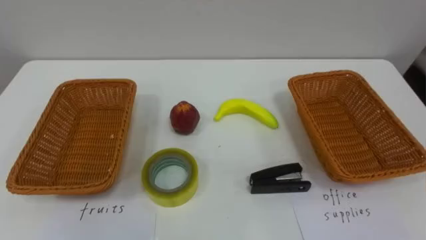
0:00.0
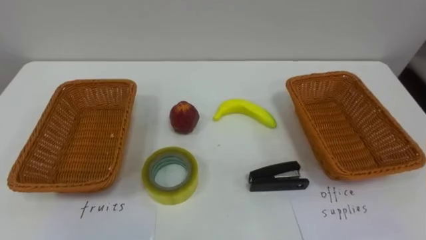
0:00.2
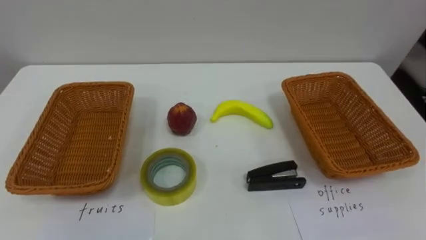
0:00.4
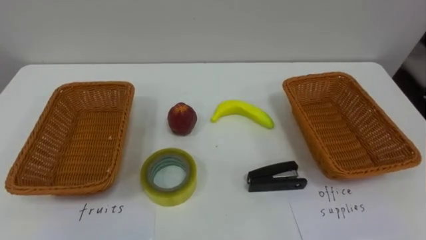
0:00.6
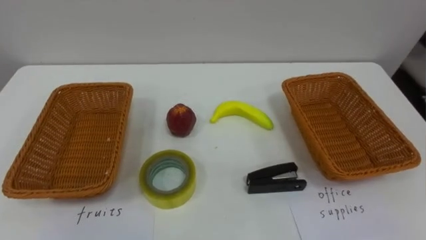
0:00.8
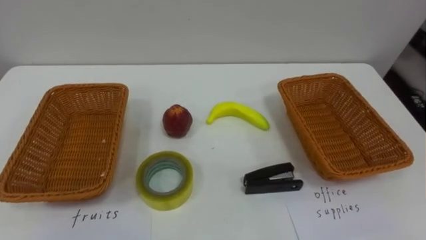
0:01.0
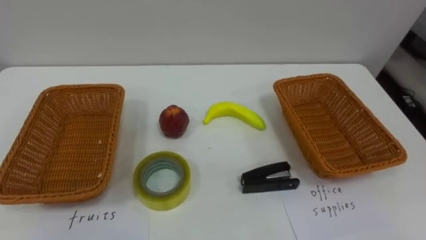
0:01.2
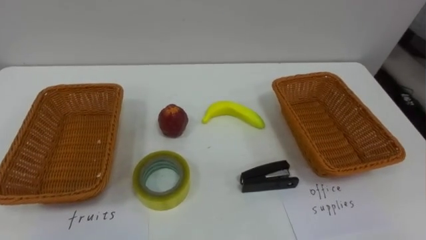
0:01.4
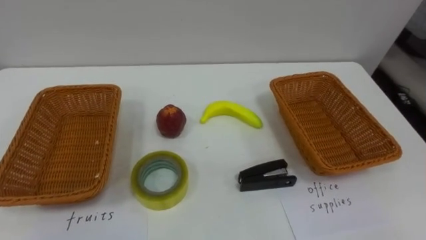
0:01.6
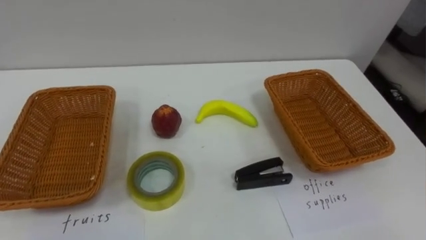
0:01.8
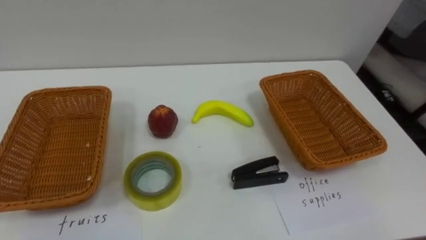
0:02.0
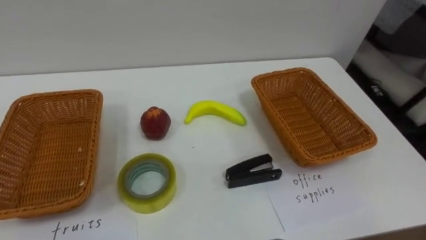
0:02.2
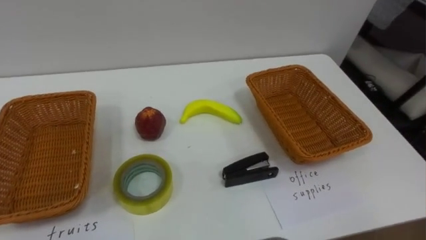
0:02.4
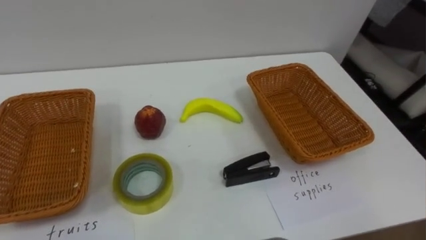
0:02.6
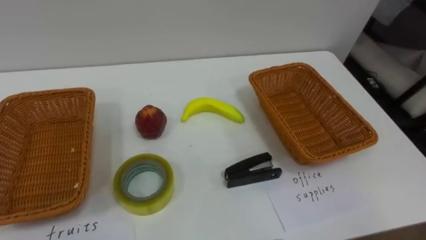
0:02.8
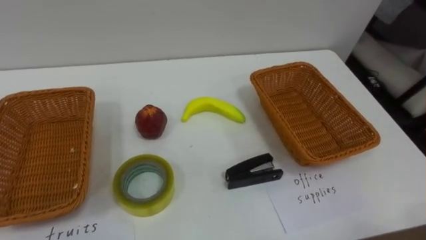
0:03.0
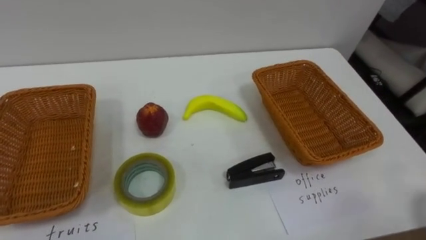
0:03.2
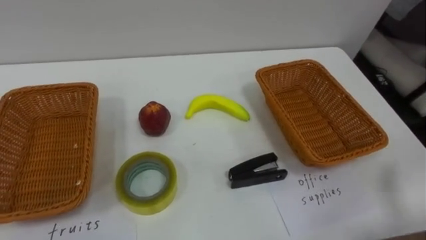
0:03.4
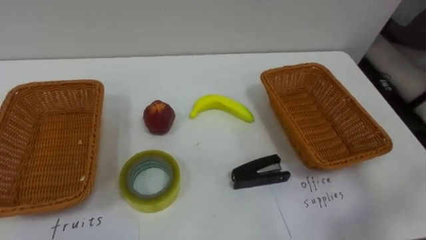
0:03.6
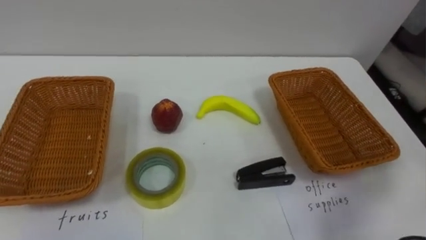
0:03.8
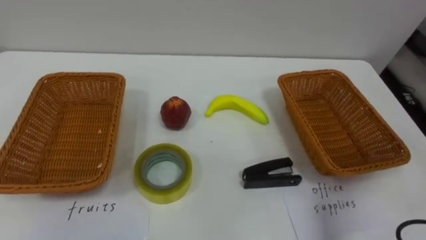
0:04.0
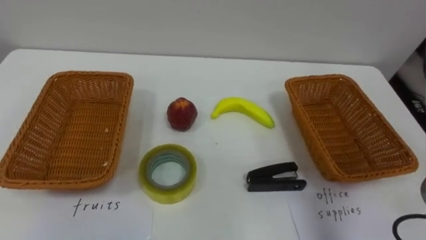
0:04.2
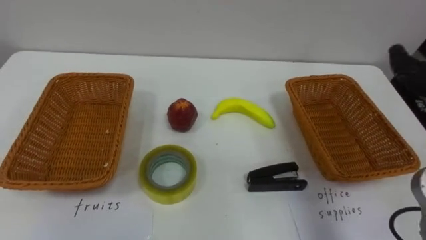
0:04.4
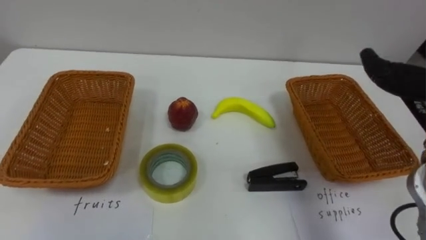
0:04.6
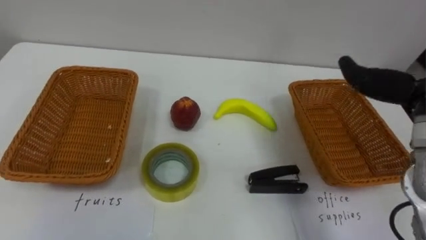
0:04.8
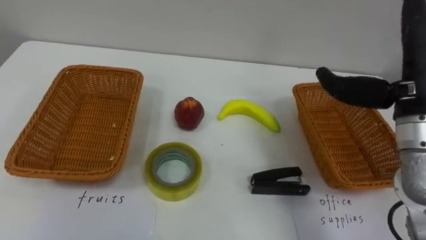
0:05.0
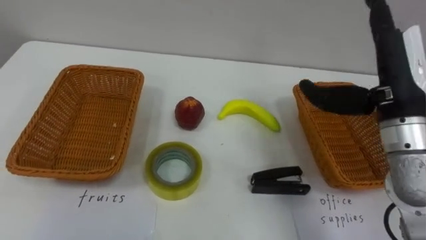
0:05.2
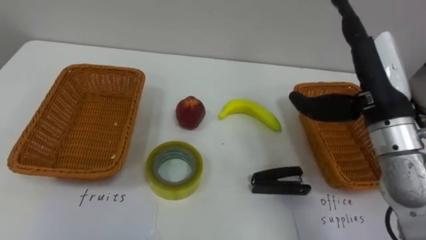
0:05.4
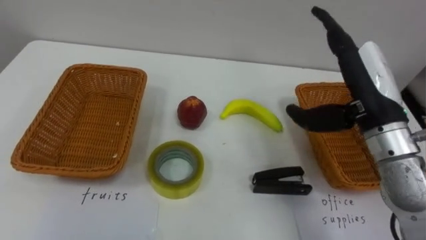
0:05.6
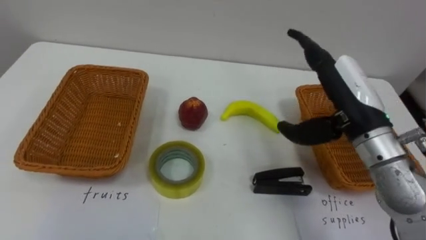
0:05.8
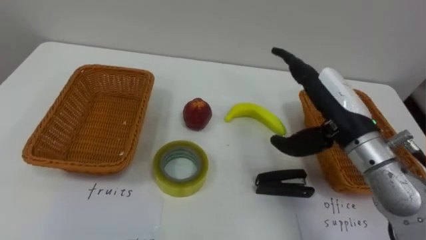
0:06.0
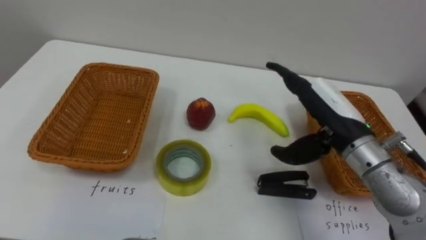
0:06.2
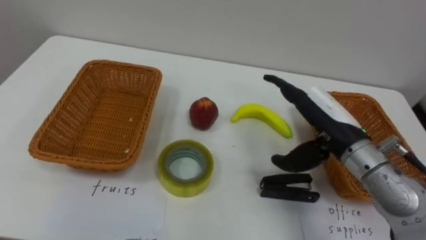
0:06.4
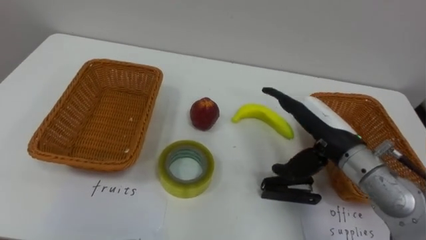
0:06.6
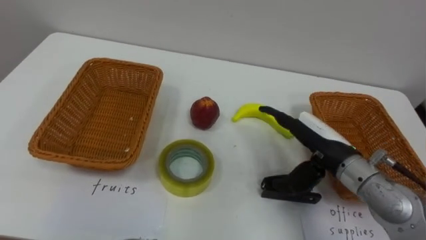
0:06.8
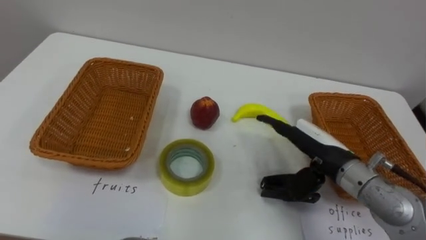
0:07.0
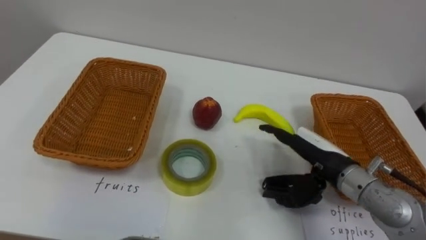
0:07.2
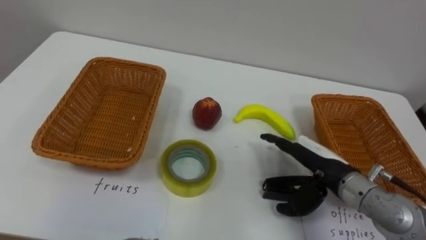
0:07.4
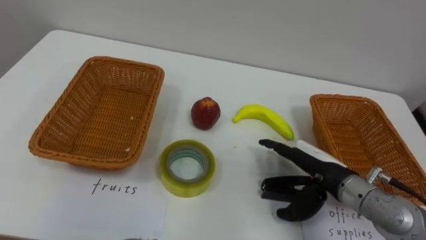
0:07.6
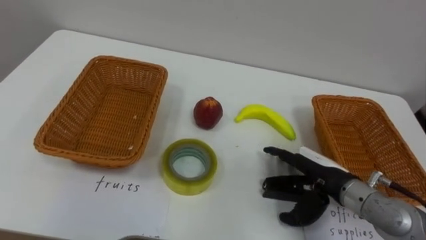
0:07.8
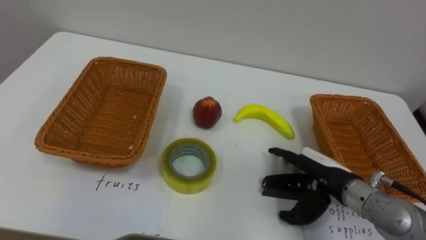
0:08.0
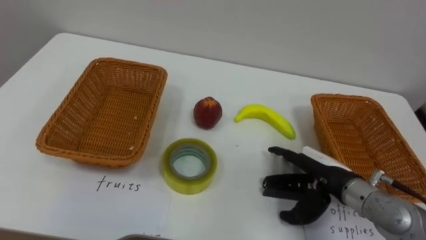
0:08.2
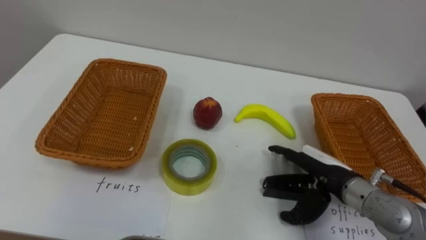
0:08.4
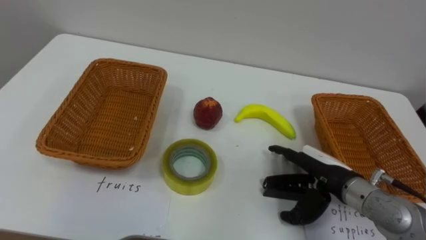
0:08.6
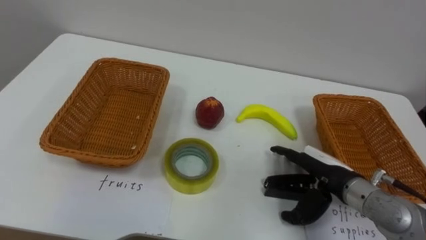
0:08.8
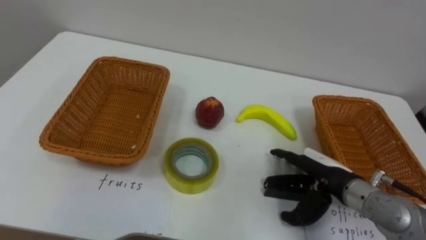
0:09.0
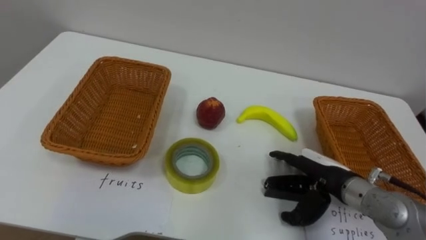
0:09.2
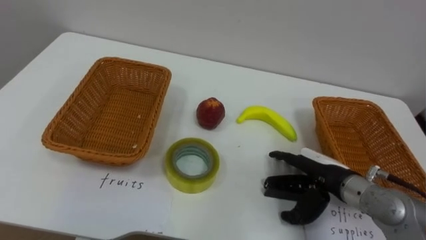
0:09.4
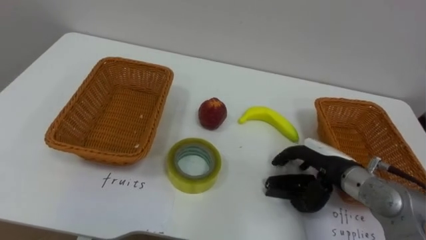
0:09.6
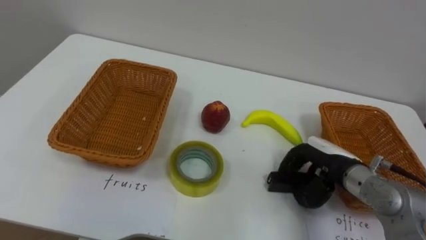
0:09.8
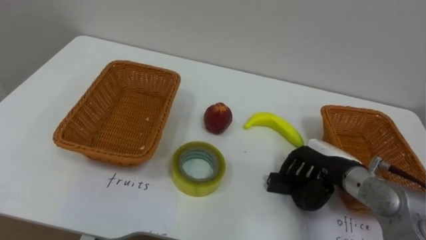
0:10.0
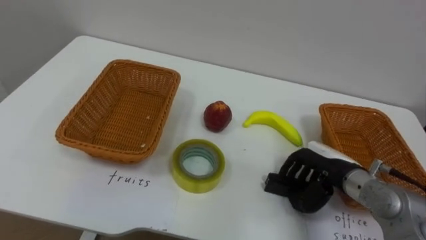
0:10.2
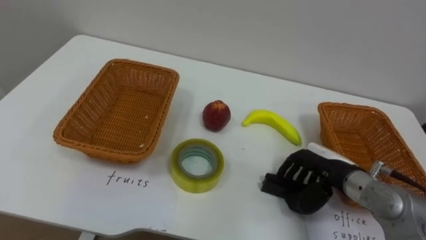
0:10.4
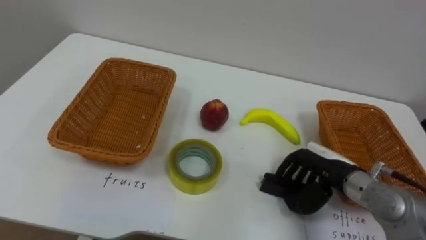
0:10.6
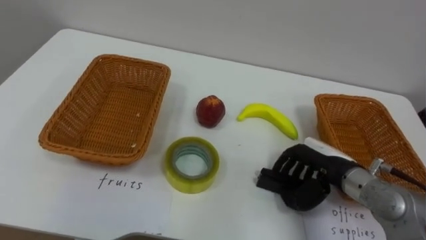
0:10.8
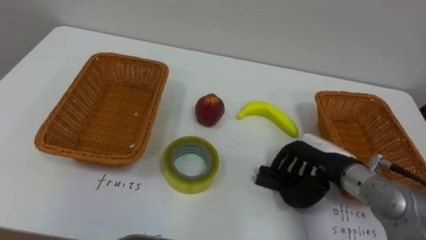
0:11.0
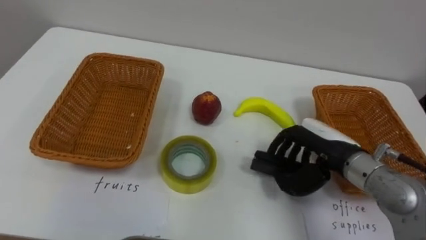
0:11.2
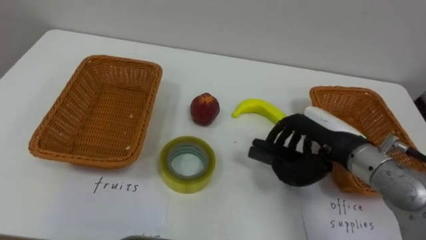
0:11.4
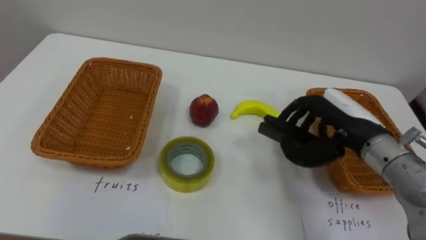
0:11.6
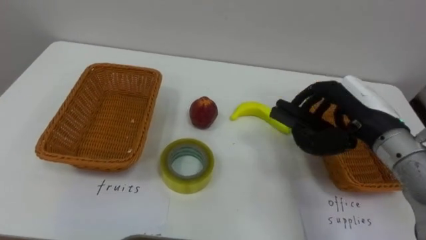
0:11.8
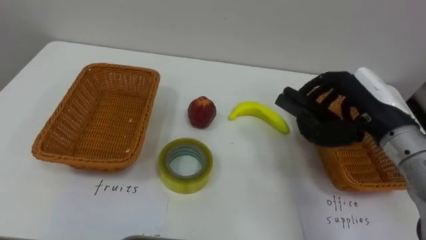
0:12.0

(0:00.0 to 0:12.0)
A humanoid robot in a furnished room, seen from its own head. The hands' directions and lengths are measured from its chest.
Task of the whole recording: Separate the items on the table and place them into the two baskets.
0:06.0 - 0:07.6: The right hand moves downward, some 10 cm.
0:09.0 - 0:10.4: The right hand closes.
0:10.4 - 0:12.0: The right hand moves upward, some 15 cm.

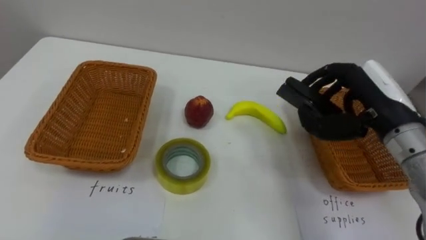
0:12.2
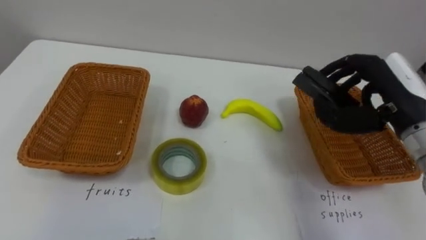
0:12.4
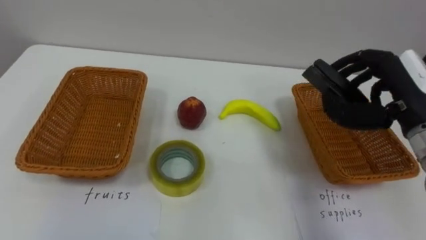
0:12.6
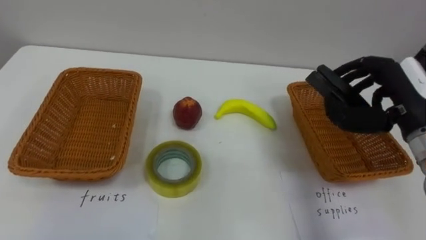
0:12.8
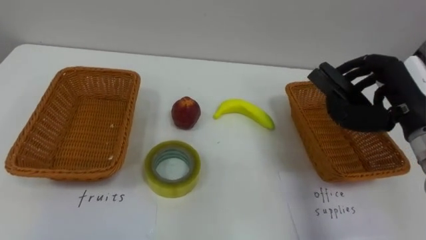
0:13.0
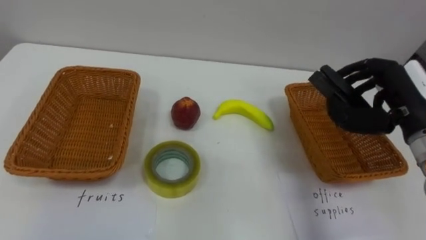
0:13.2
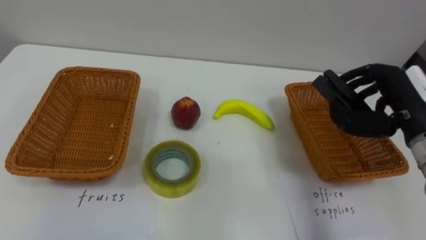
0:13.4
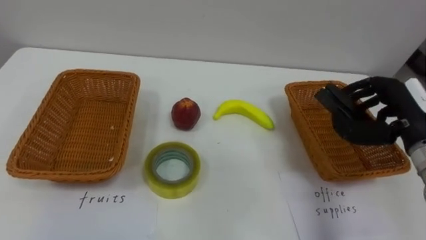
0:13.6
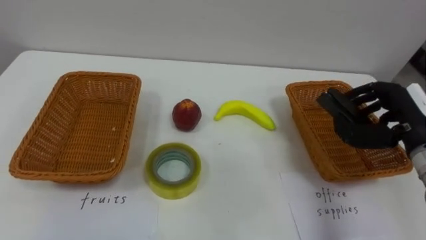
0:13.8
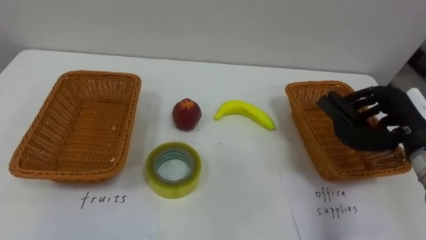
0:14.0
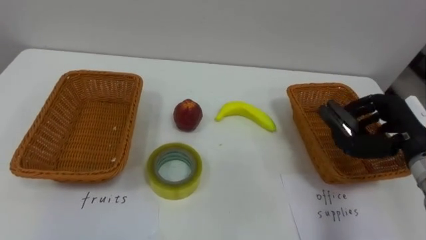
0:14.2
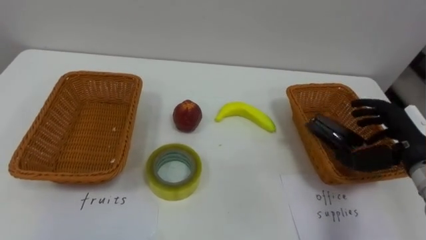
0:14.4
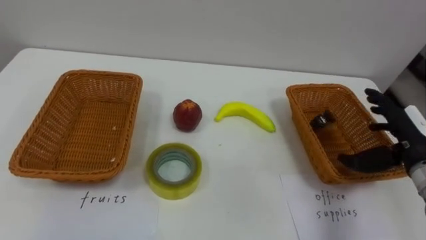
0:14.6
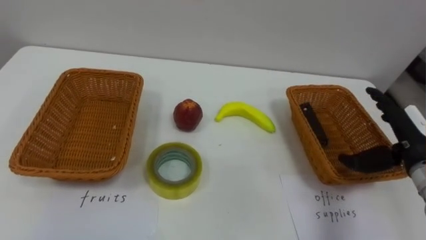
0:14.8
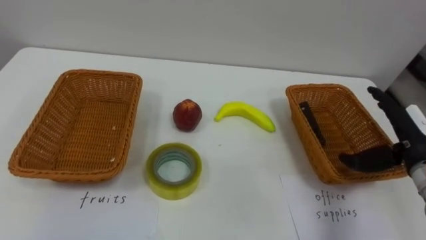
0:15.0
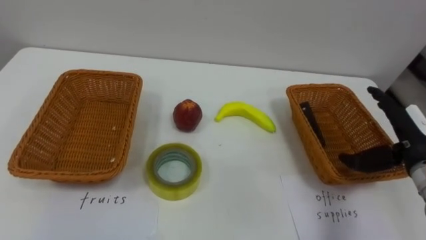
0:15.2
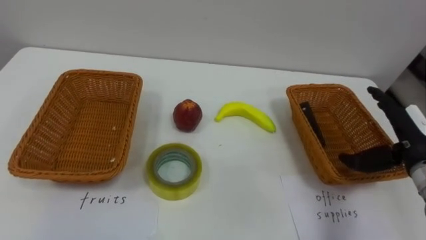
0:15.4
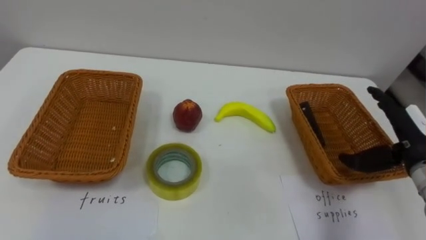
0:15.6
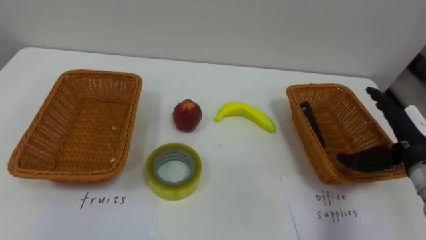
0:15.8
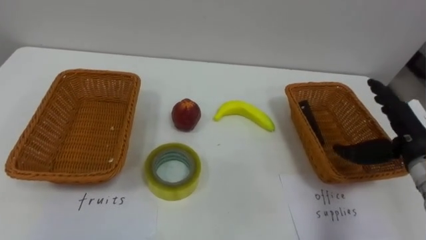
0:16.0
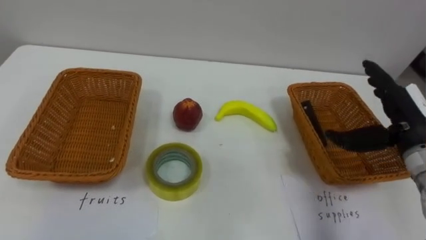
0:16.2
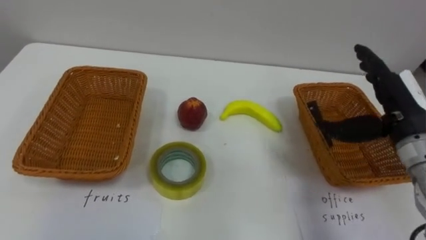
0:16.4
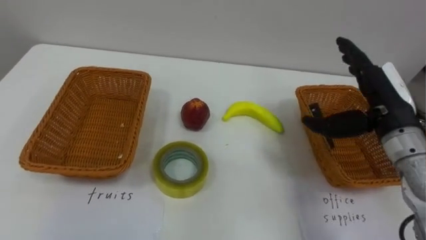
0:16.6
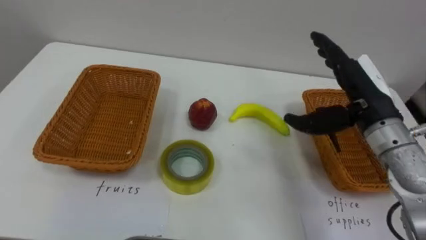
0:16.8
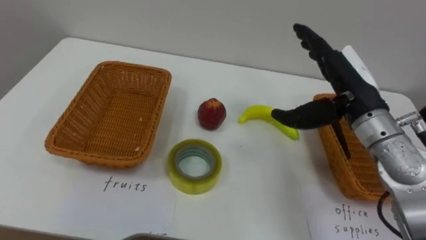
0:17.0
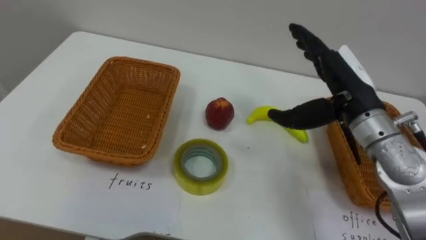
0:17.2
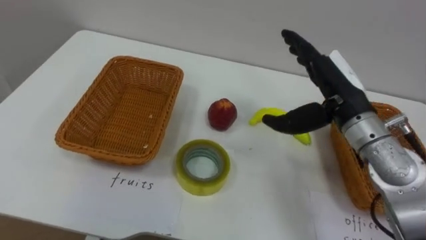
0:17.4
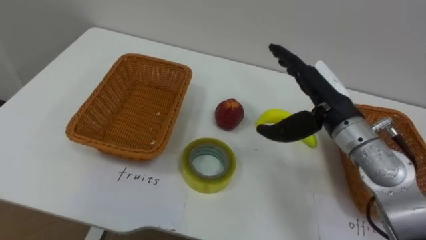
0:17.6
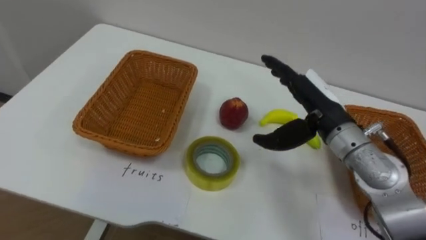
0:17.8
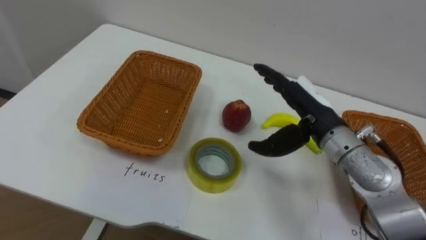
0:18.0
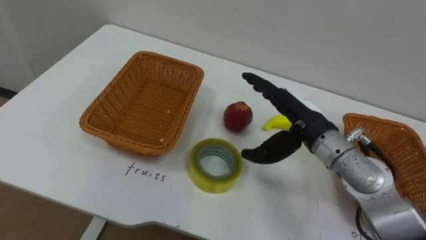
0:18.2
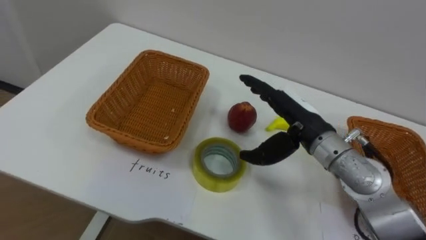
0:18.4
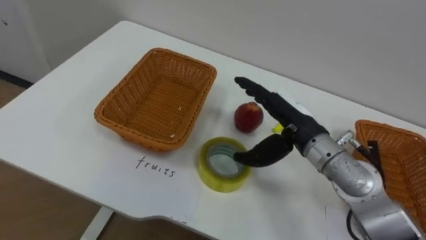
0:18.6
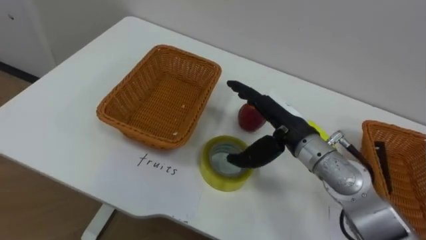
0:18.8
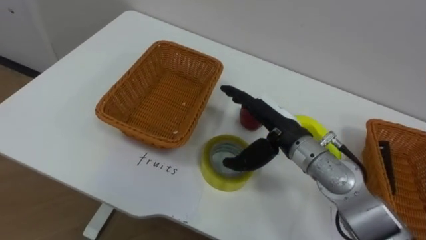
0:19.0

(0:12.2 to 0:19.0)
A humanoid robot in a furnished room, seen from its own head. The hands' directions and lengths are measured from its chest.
Task of the whole recording: Separate the items on the table and place them into the two baskets.
0:12.2 - 0:13.6: The right hand is displaced to the right by roughly 5 cm.
0:13.6 - 0:15.0: The right hand opens up.
0:16.2 - 0:17.6: The right hand is displaced to the left by roughly 15 cm.
0:17.6 - 0:19.0: The right hand travels to the left and downward by approximately 10 cm.
